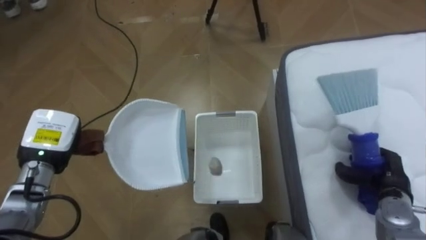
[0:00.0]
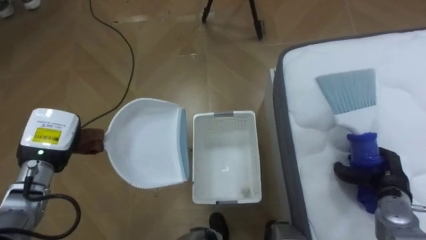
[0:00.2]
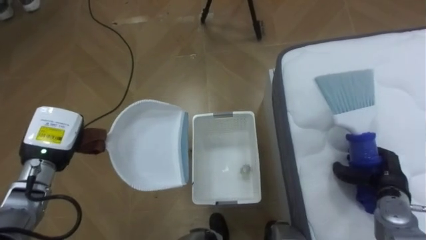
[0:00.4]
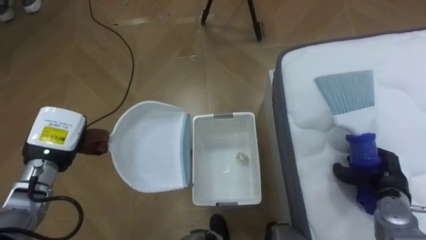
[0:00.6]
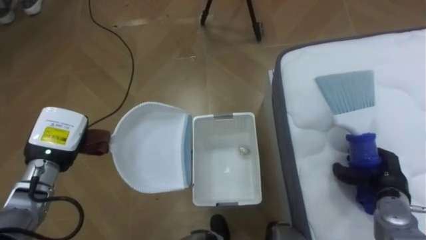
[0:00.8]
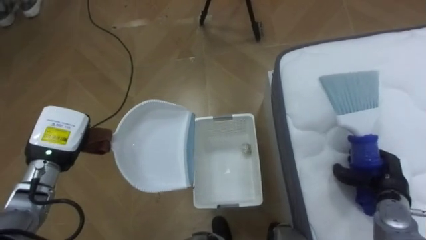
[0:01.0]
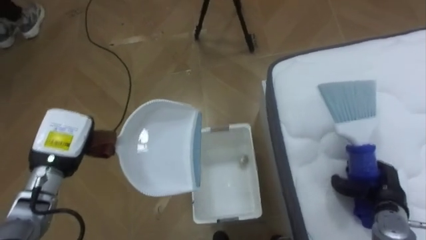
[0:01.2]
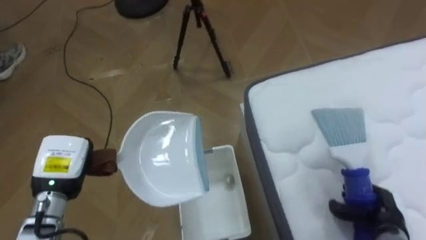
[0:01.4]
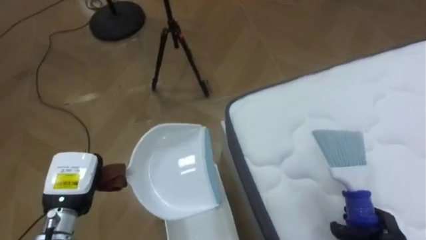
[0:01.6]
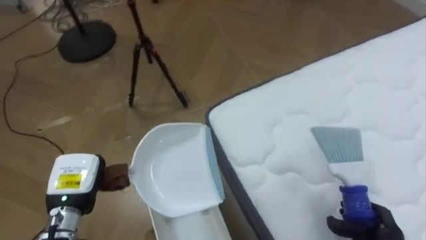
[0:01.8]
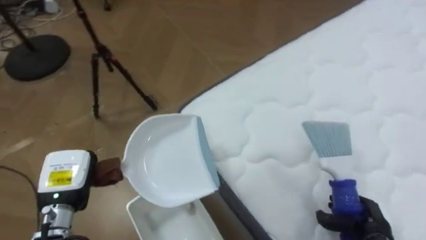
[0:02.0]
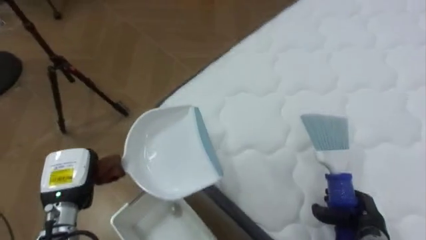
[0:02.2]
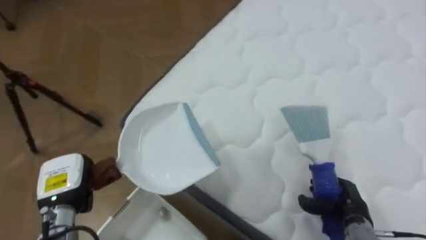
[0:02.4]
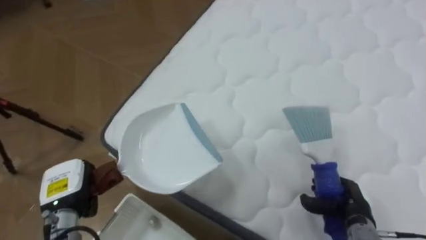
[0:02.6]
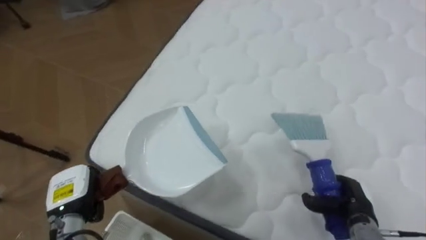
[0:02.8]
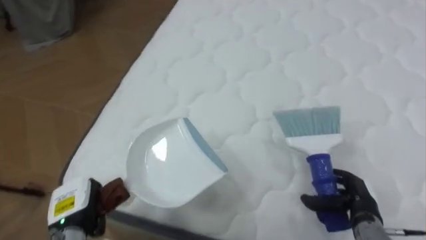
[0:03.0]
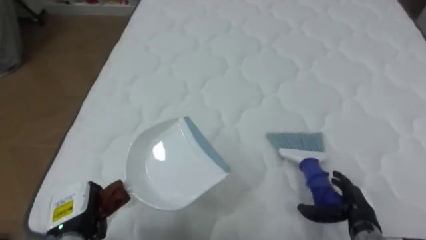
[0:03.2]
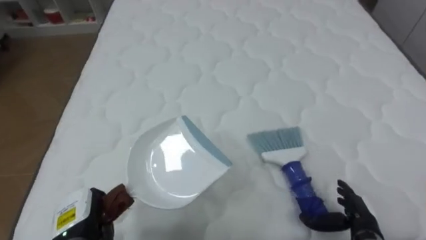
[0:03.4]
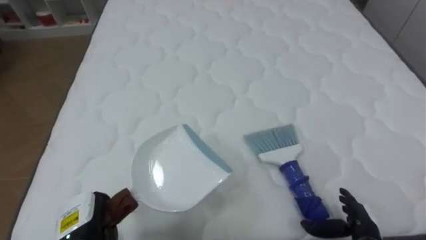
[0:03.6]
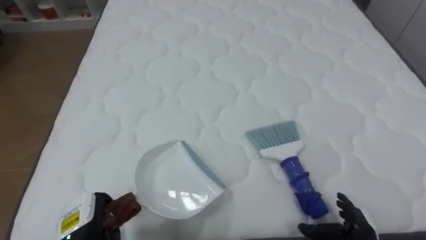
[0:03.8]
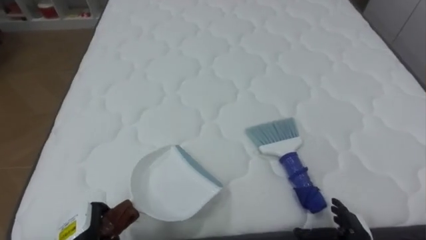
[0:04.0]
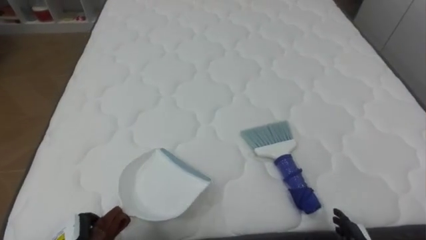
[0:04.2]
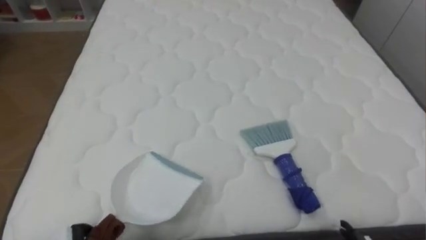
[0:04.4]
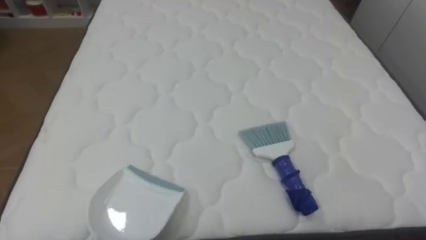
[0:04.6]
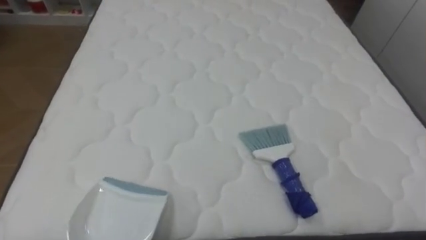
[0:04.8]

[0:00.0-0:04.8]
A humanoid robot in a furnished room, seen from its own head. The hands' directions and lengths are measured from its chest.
Task of the whole recording: Pick up the brush on your right and the dustpan on your left. Use the brush to sweep the crumpled paper on the bed into the dustpan, then turn left and empty it into the basket.
0:00.0 to 0:01.6: The robot rotates about 20 degrees to its right. The left hand shifts approximately 5 cm backward, while the right hand shifts about 10 cm backward and downward.
0:01.6 to 0:03.2: The robot turns to its right by some 65 degrees. The left hand shifts roughly 5 cm downward; the right hand ends up some 5 cm from where it was, and opens its fingers.

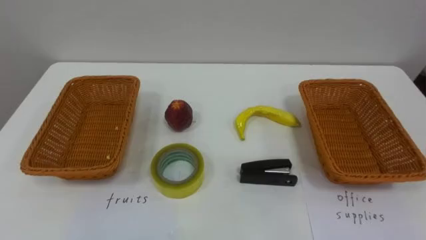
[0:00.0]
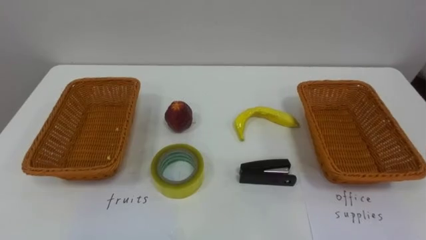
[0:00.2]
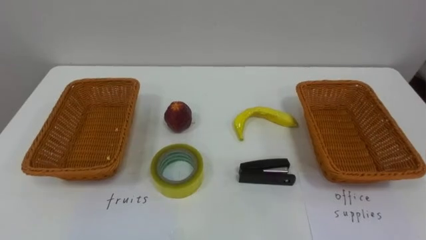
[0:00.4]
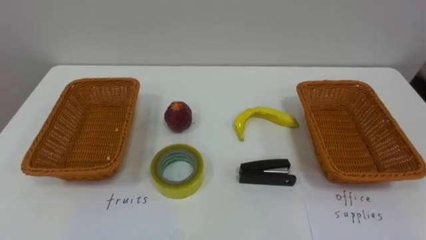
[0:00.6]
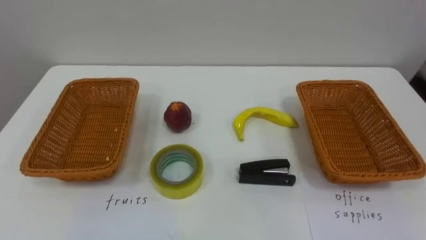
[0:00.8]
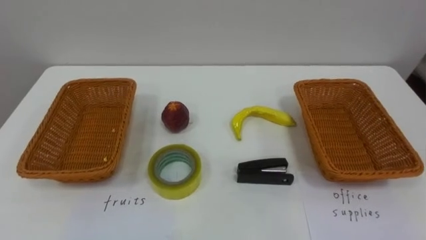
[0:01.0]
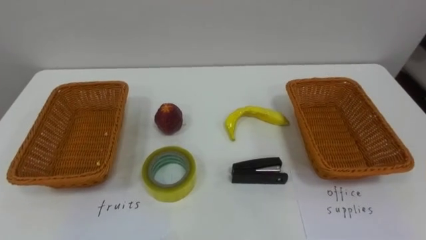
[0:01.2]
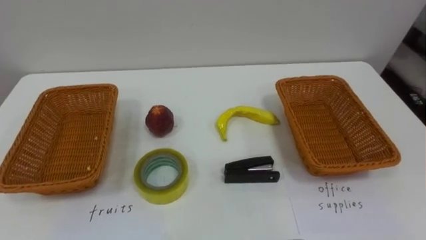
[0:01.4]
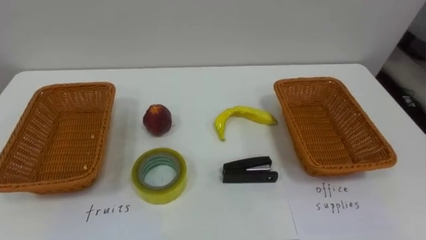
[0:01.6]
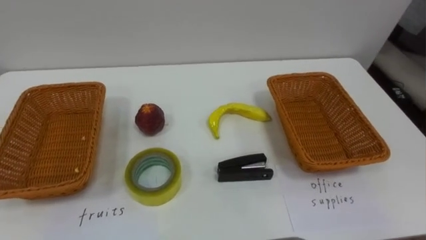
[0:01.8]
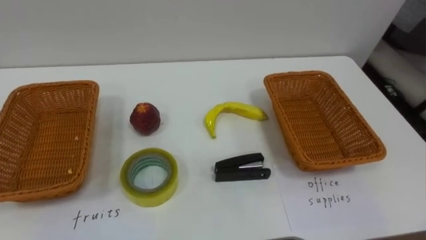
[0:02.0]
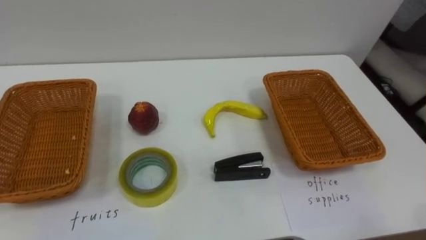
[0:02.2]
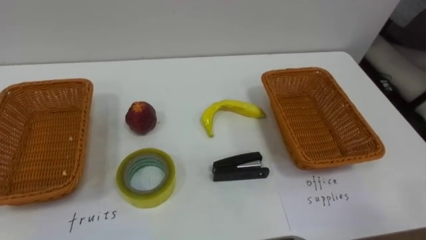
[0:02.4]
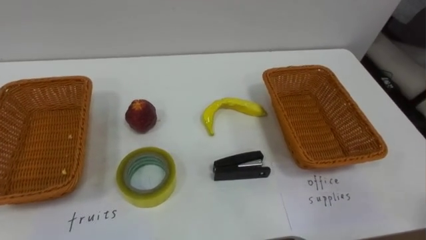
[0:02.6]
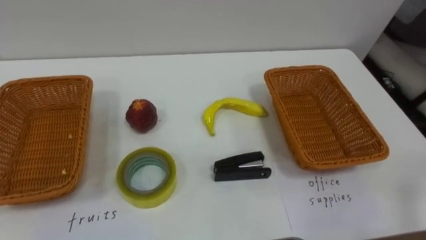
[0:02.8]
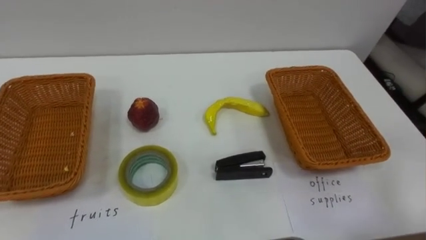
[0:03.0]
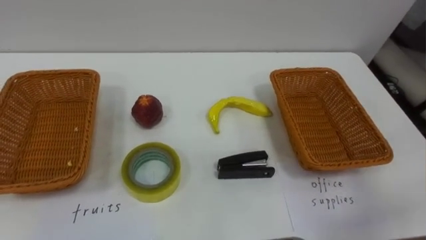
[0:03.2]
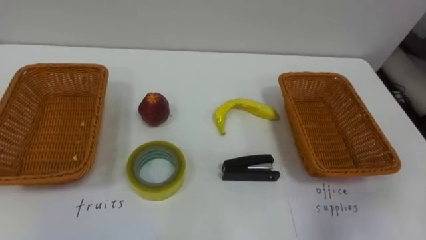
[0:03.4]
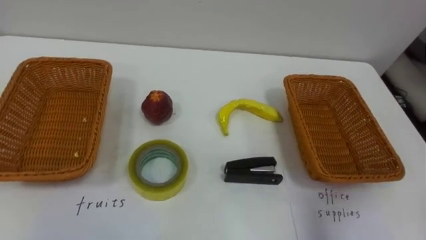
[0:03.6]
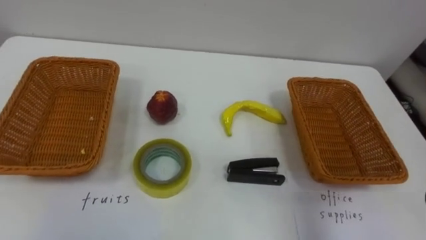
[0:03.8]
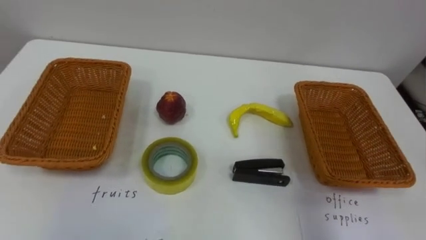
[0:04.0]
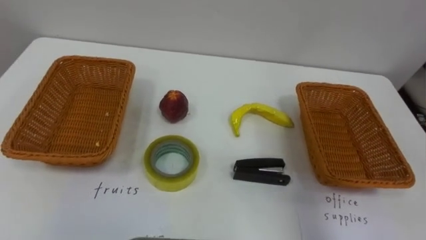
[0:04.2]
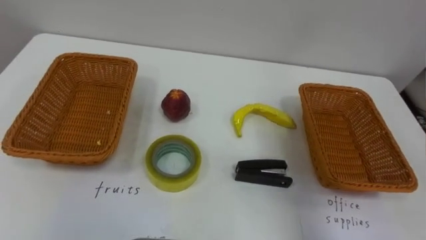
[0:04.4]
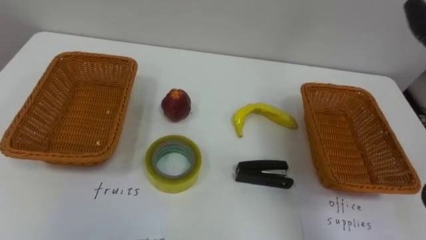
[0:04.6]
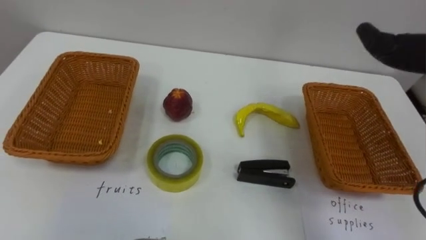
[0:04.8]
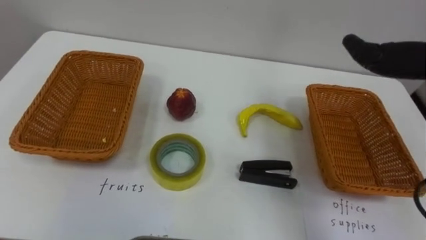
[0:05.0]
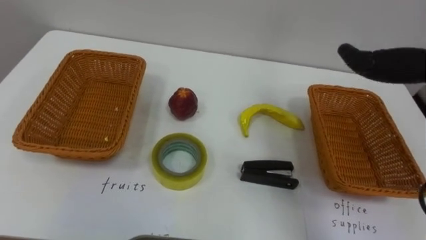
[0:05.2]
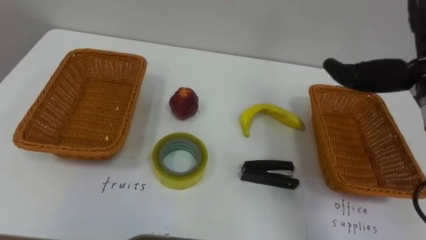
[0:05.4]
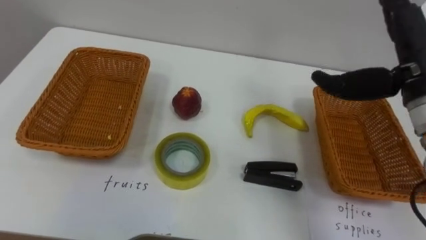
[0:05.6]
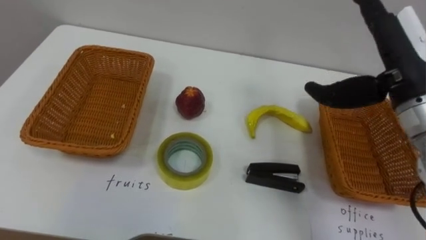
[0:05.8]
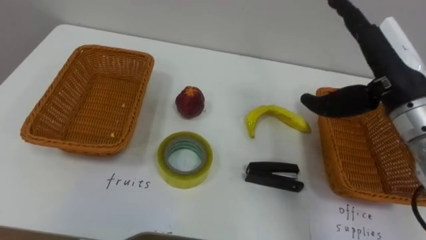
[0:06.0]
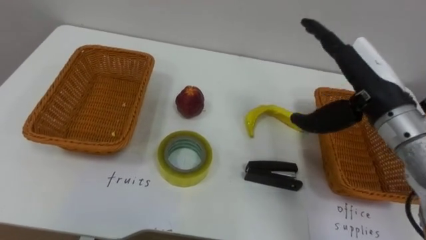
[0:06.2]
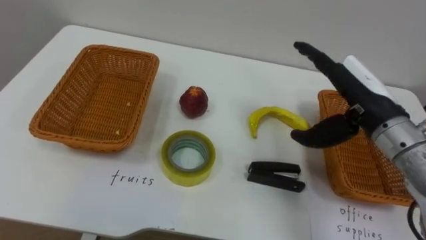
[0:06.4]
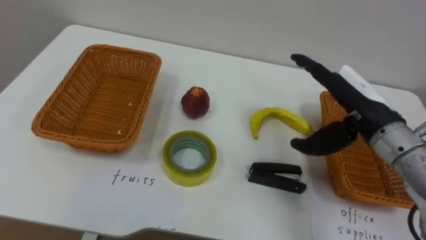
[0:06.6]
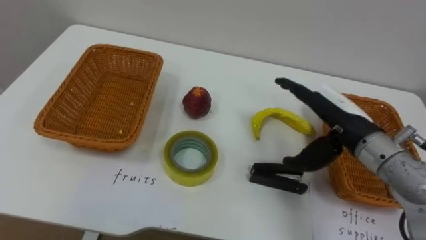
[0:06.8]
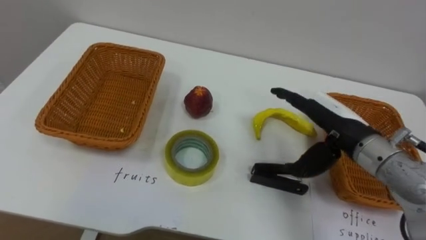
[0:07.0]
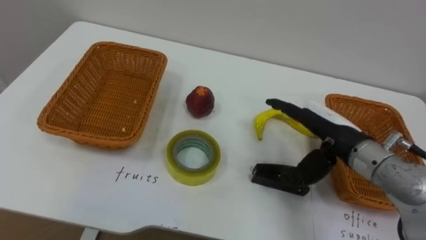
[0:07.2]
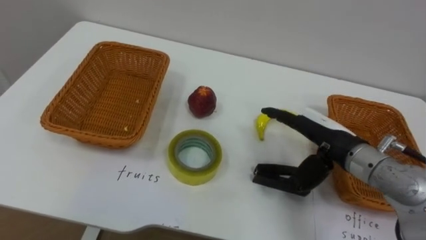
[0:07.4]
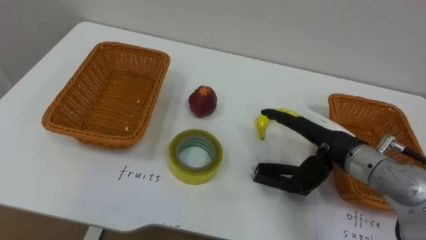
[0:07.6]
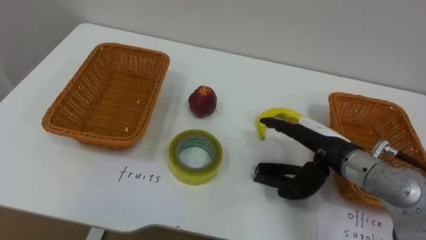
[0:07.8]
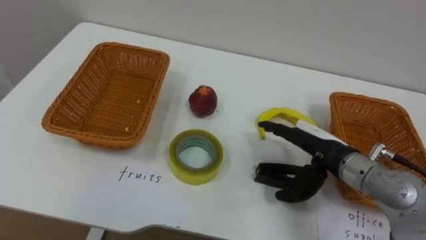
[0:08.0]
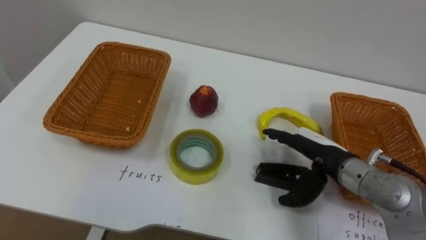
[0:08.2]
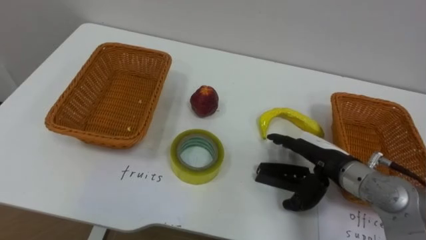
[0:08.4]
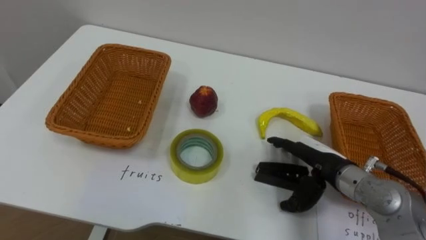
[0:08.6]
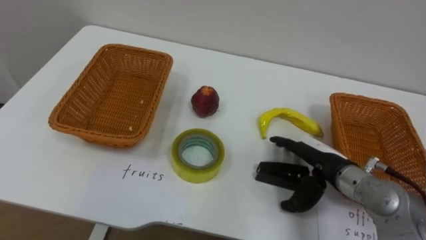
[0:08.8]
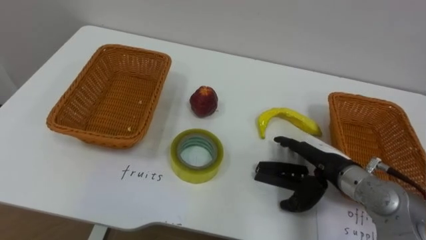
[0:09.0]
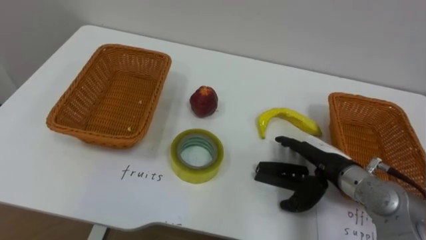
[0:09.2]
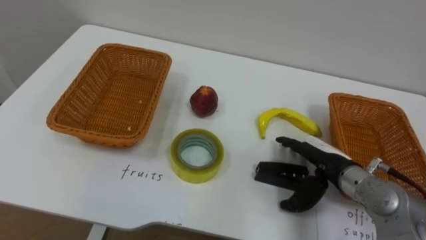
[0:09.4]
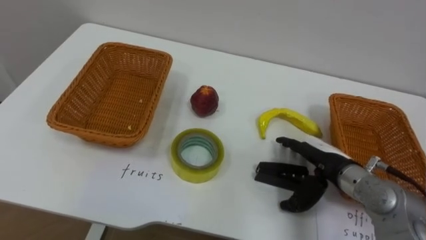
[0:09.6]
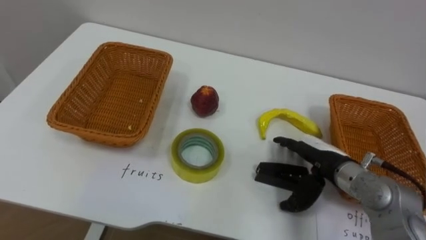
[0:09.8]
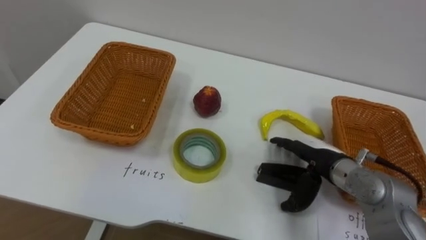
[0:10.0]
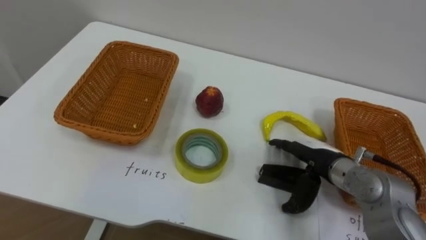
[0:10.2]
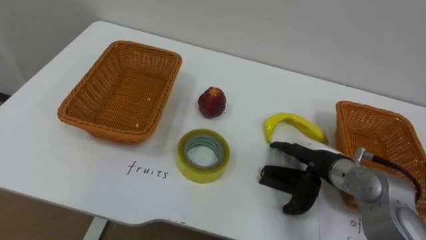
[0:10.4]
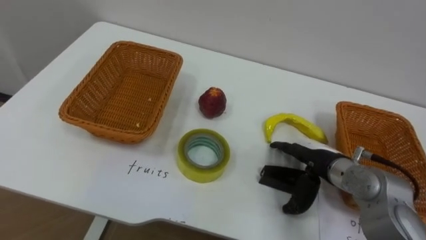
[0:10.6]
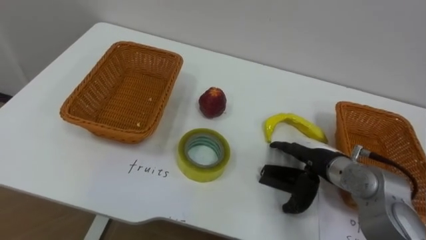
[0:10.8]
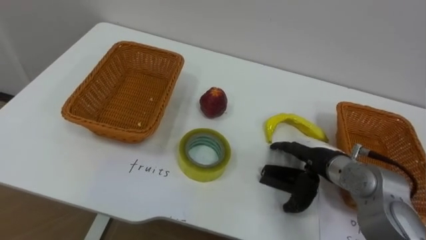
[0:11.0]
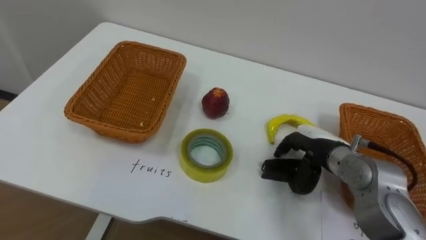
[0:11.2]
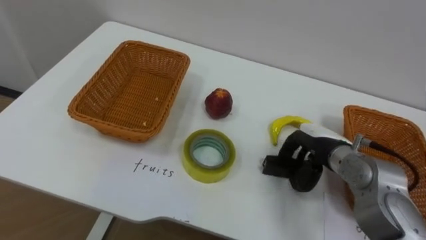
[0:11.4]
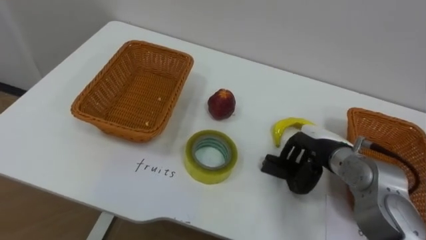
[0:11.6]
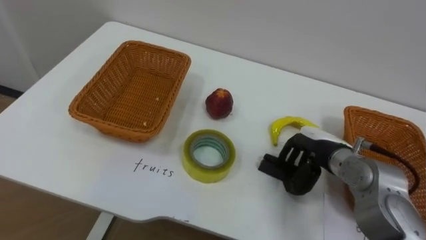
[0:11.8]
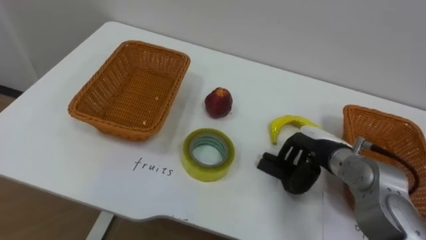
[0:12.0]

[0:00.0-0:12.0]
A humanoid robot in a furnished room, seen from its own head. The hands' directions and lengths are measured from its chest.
Task of the whole recording: Separate the items on the table and place them into the two baskets.
0:06.0 to 0:07.6: The right hand heads downward, covering approximately 15 cm.
0:07.6 to 0:09.0: The right hand moves downward, roughly 5 cm.
0:10.4 to 0:12.0: The right hand closes.
